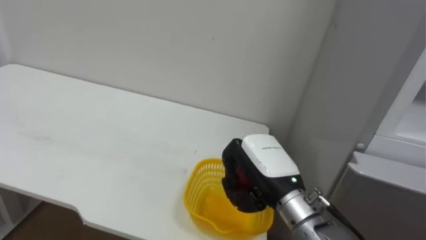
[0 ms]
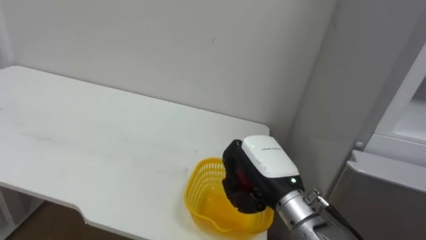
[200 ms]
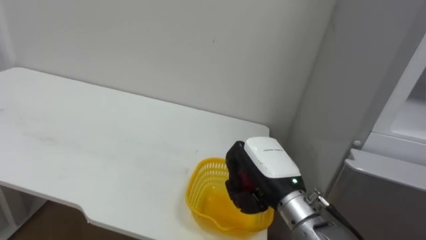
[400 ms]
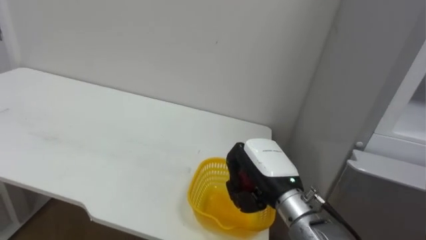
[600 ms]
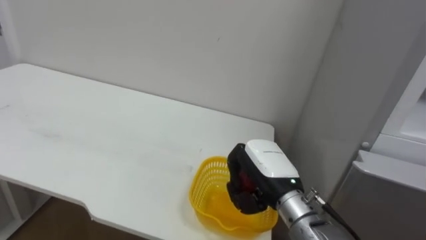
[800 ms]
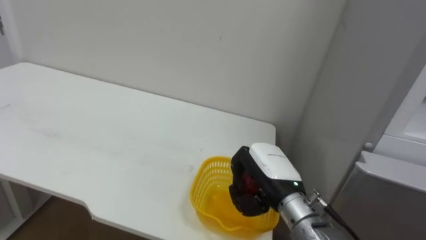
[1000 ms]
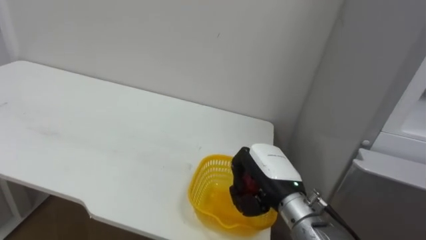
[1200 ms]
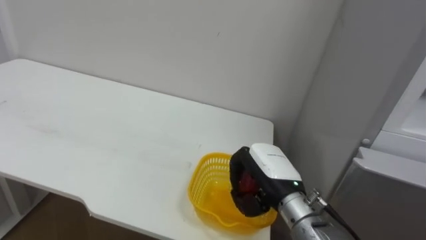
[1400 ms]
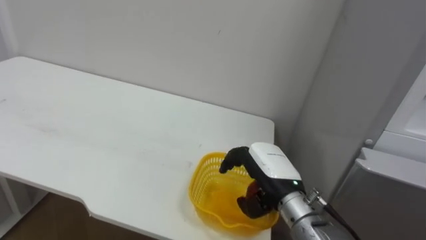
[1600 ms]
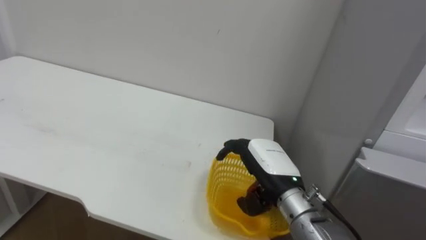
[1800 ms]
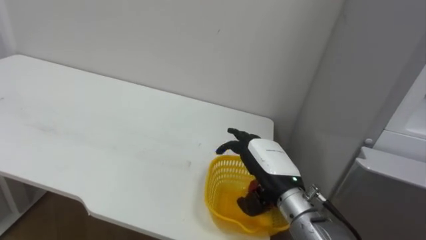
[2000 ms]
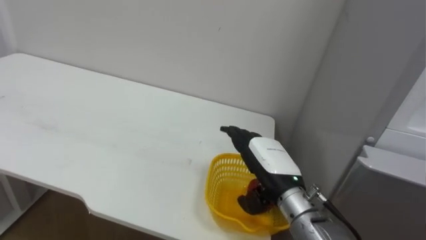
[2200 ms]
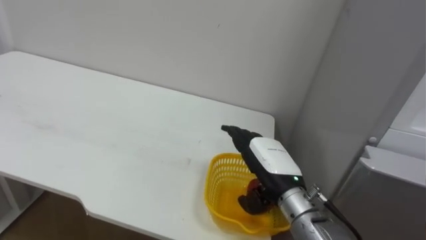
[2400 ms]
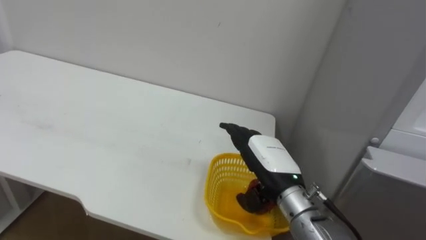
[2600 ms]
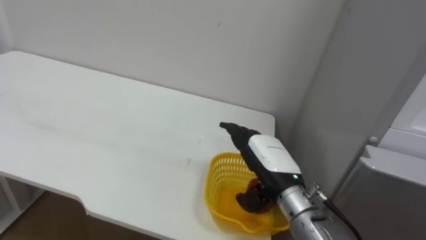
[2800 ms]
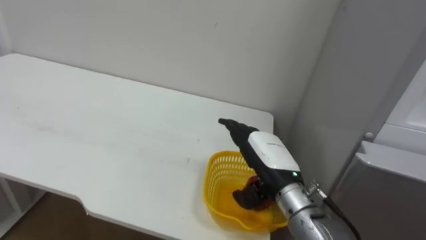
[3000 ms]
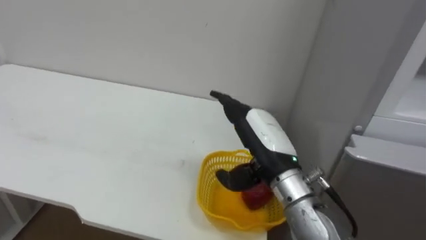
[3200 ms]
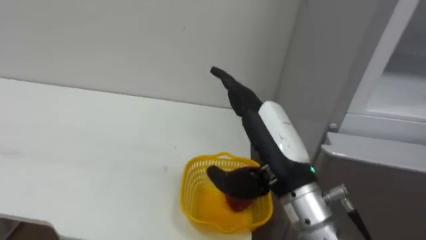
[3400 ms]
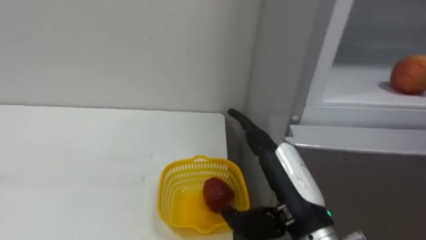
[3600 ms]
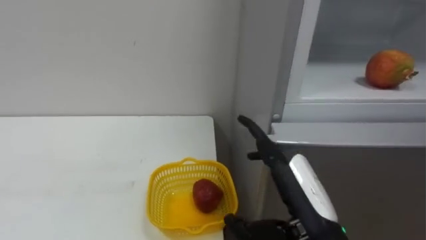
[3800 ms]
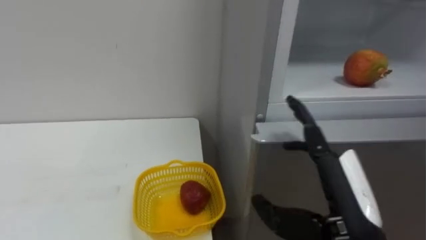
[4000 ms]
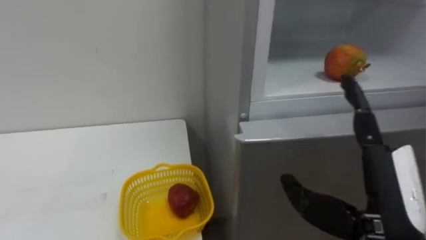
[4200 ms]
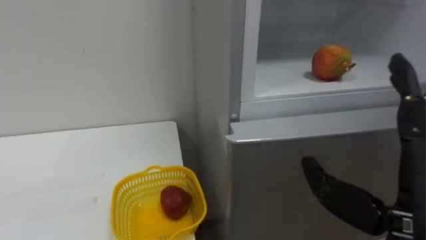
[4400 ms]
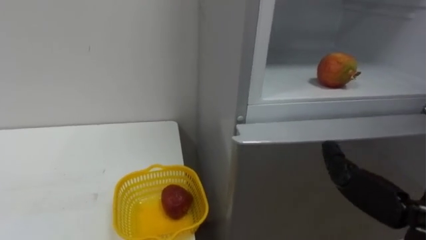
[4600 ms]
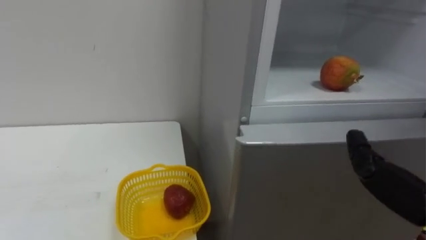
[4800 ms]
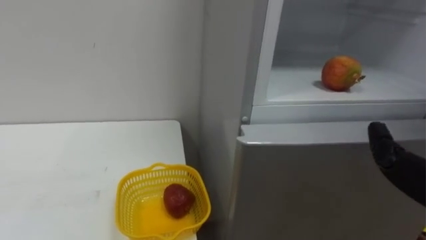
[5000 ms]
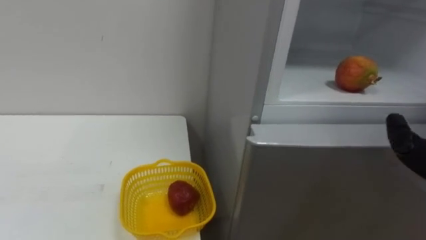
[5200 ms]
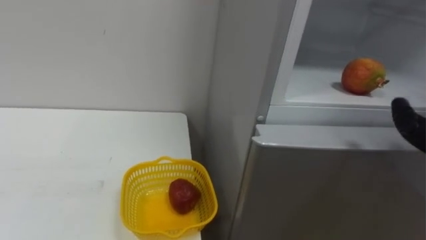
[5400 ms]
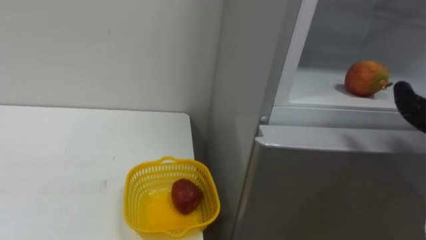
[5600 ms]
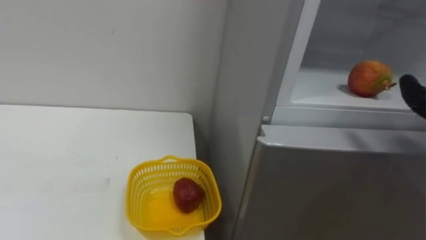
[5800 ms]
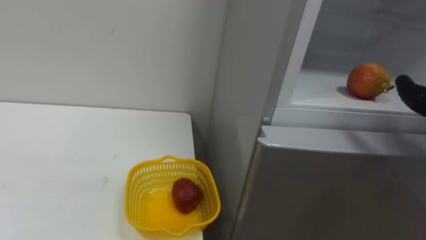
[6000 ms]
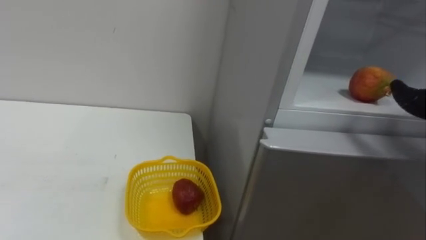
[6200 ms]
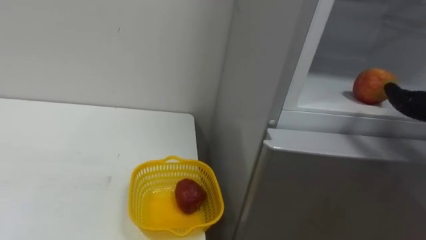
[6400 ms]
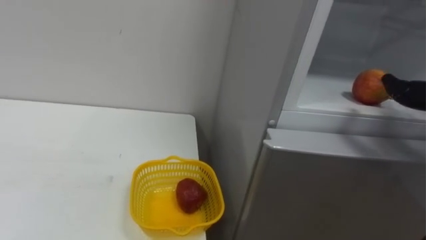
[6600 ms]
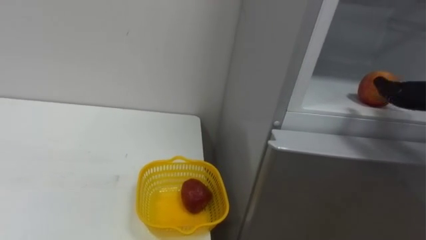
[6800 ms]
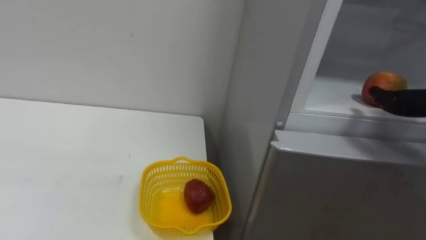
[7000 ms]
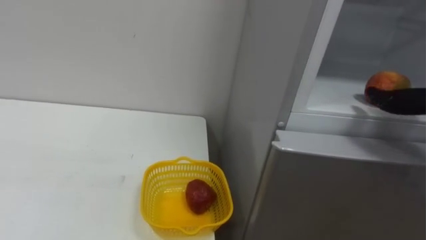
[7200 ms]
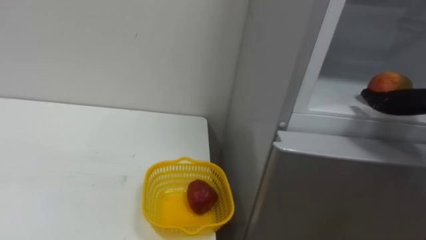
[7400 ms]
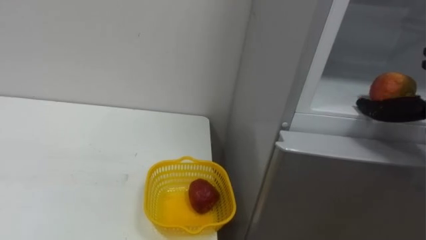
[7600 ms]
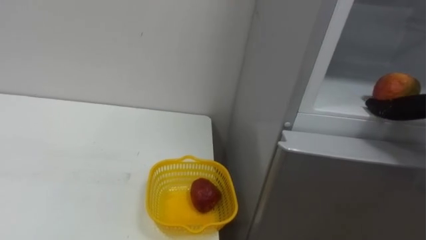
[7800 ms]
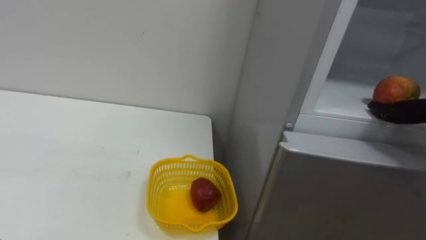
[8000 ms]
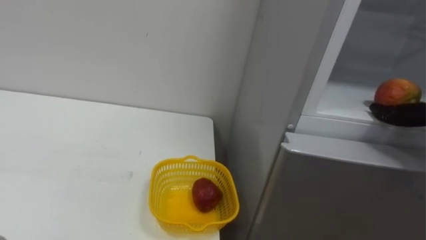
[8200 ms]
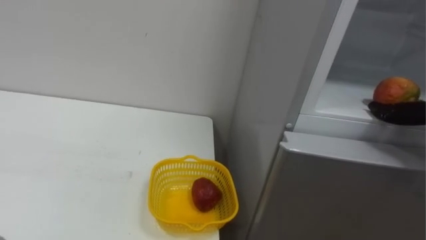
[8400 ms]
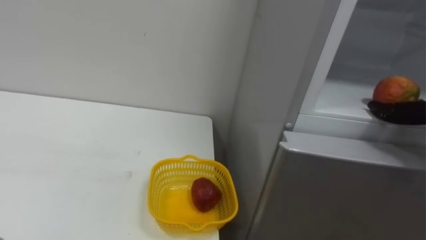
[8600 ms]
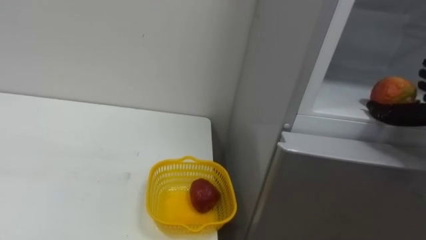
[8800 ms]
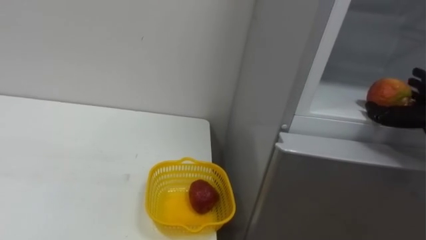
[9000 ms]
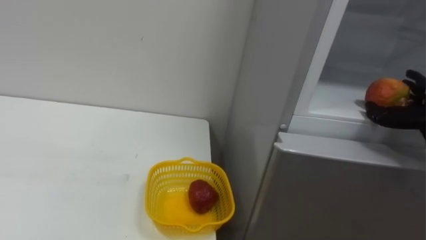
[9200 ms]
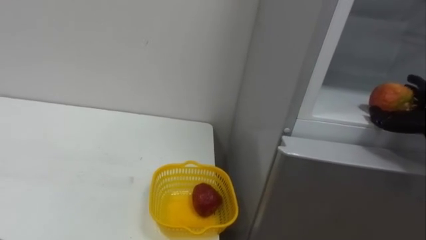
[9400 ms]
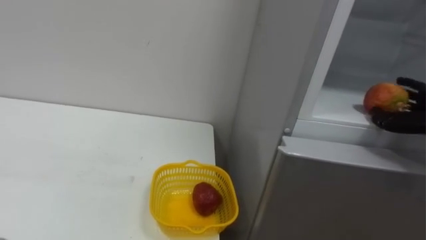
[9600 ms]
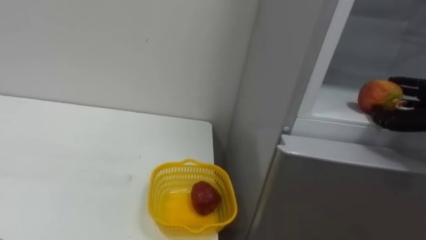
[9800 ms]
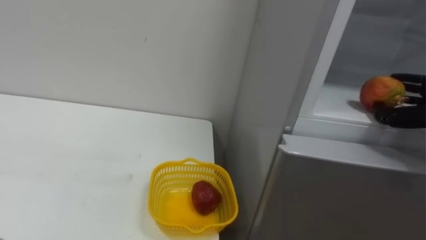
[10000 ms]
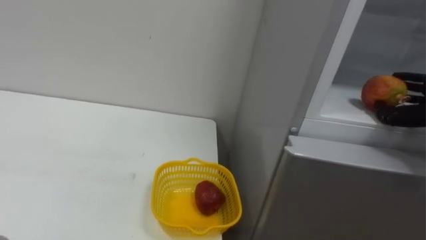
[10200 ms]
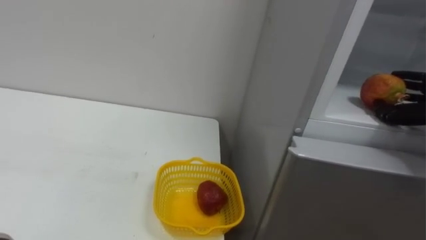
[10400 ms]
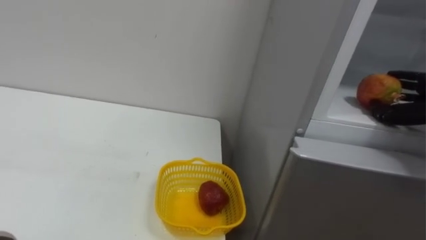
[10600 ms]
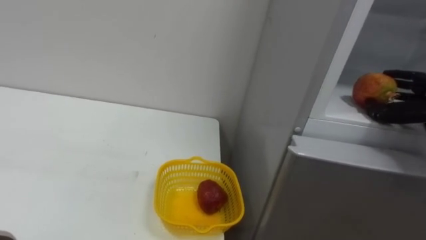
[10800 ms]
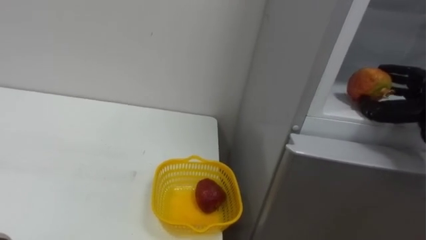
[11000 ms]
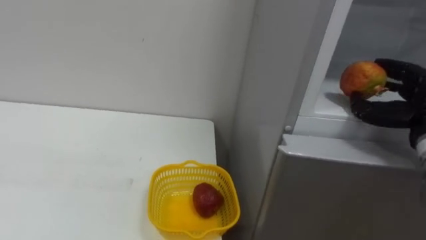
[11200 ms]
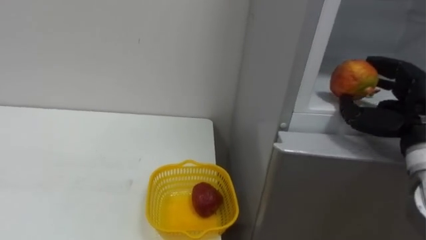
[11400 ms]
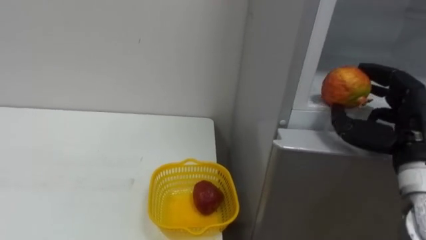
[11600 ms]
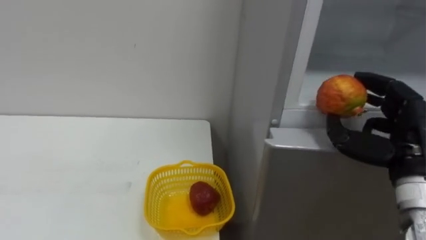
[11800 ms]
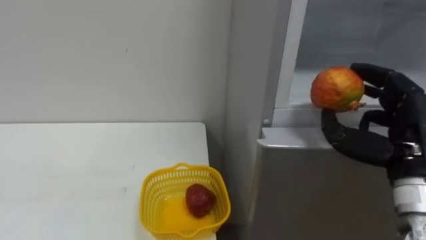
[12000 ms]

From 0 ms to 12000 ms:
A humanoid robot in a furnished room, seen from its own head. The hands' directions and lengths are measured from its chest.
Task of the whole recording: Open the refrigerator door, take out the apple and the pomegranate, place them in the fruit basket on the left, and close the refrigerator door.
From 0 ms to 1600 ms: The right hand opens.
From 1600 ms to 3000 ms: The right hand opens.
From 3000 ms to 4400 ms: The right hand is displaced backward, to the right and upward by about 20 cm.

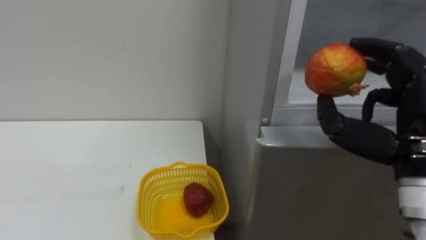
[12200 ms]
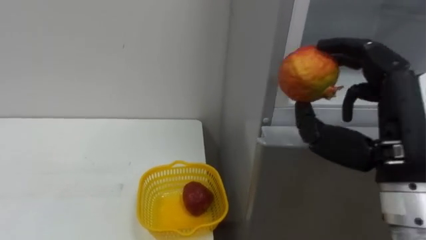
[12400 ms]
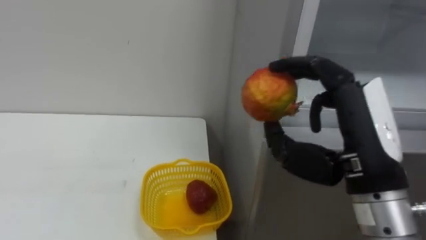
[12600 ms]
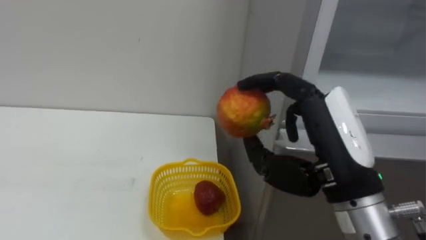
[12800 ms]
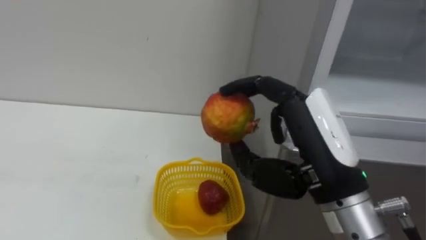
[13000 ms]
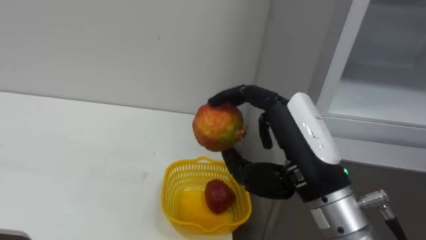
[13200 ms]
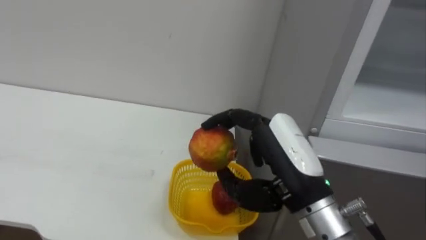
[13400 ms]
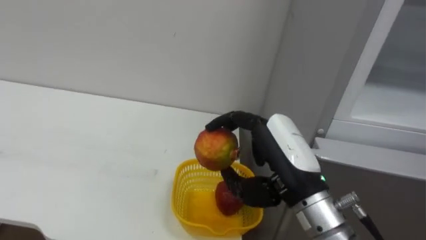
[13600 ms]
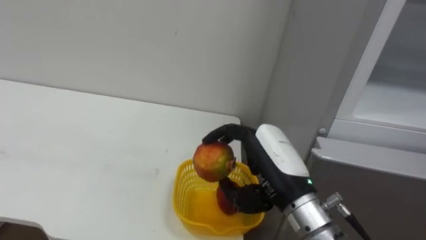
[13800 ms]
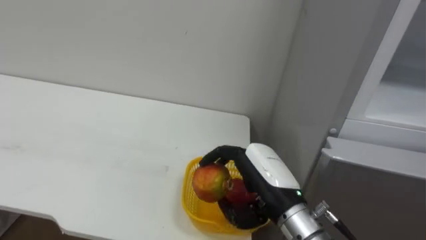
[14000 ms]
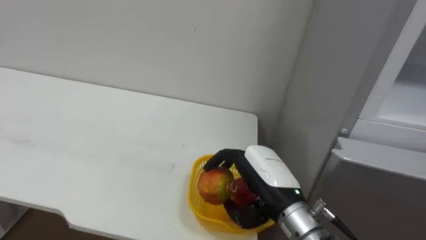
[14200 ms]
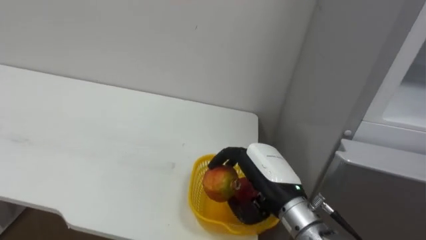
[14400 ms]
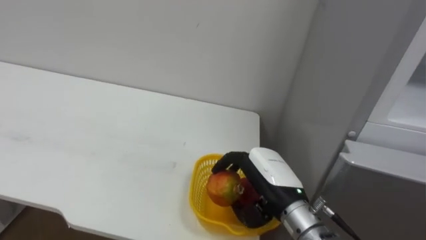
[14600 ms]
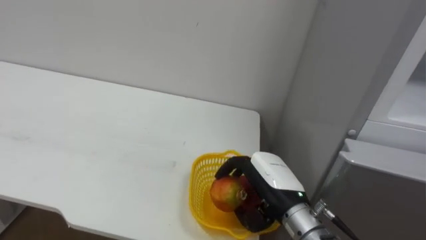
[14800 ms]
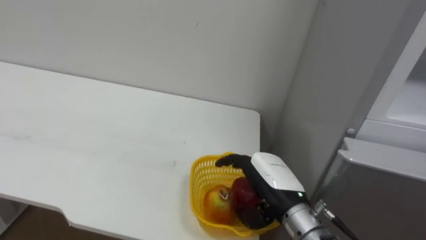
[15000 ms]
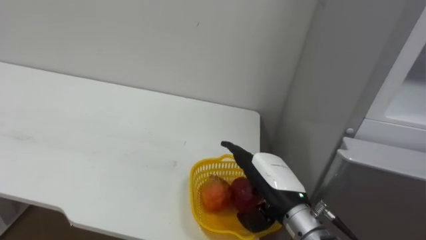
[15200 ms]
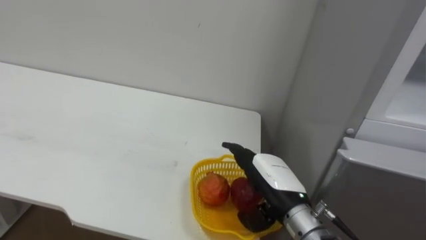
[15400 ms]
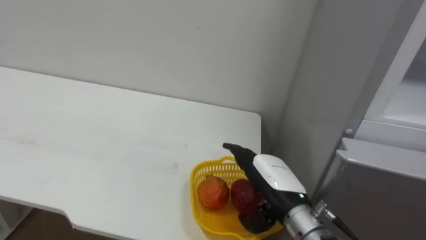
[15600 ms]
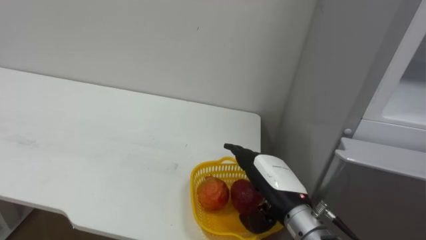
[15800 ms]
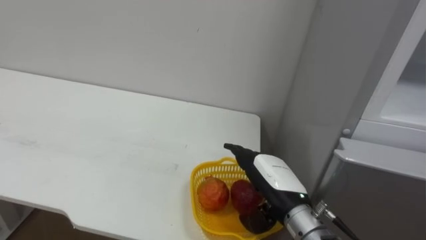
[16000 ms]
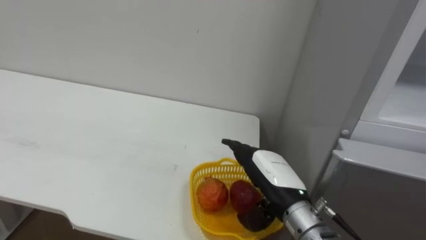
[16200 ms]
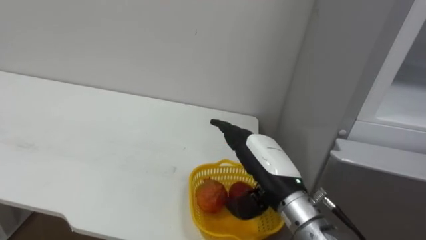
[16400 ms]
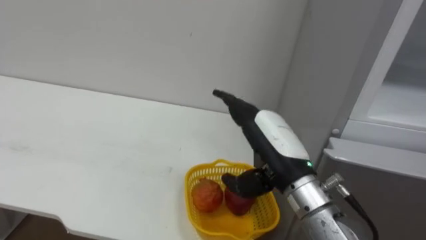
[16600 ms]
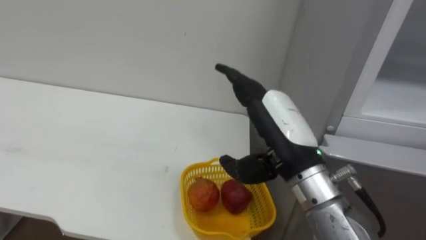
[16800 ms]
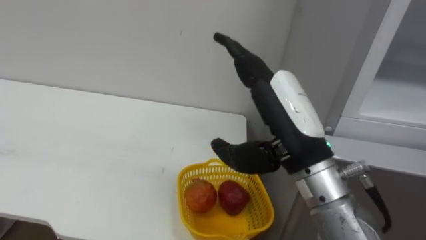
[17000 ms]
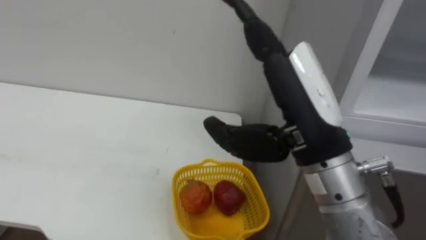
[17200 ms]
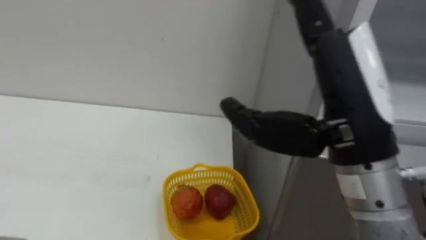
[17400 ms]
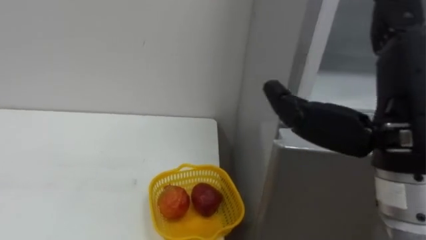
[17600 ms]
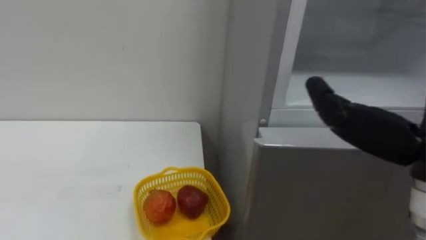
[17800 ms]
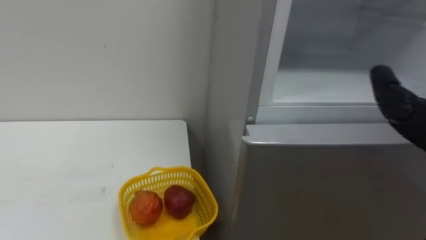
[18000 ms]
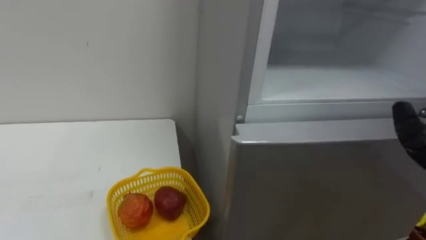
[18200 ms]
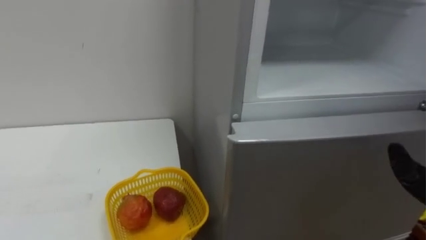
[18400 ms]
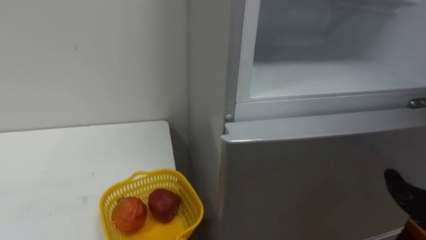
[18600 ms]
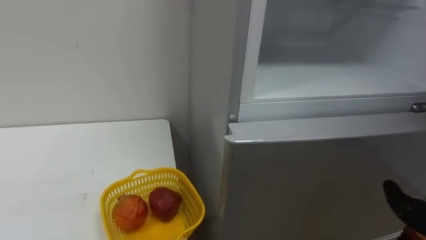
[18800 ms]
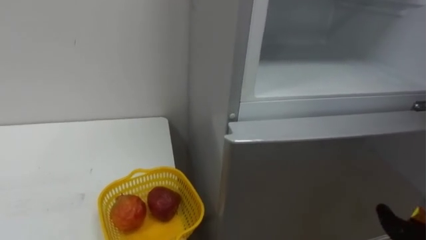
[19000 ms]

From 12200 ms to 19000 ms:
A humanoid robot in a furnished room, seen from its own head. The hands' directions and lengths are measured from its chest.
Task of the whole recording: Open the refrigerator door, take out the apple and the pomegranate, place them in the fruit basket on the left, and close the refrigerator door.
From 12200 ms to 13600 ms: The right hand is displaced to the left by some 15 cm.
From 13600 ms to 15000 ms: The right hand moves downward, some 10 cm.
From 15000 ms to 16200 ms: The right hand opens up.
From 16200 ms to 17600 ms: The right hand travels upward and backward by some 25 cm.
